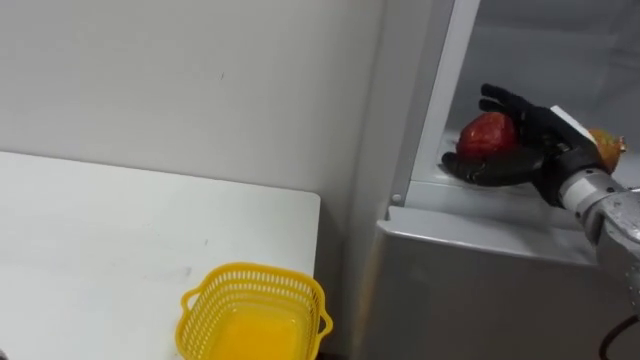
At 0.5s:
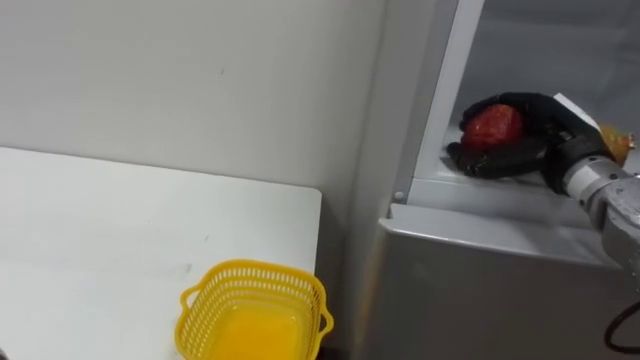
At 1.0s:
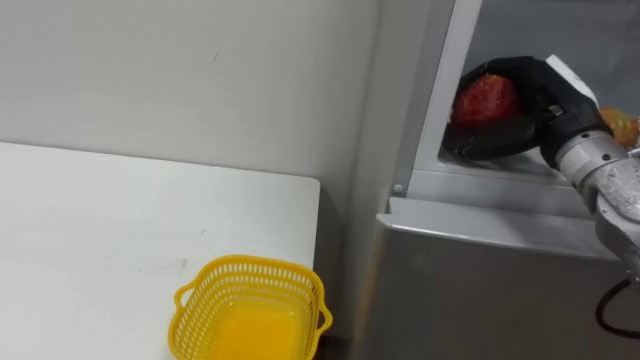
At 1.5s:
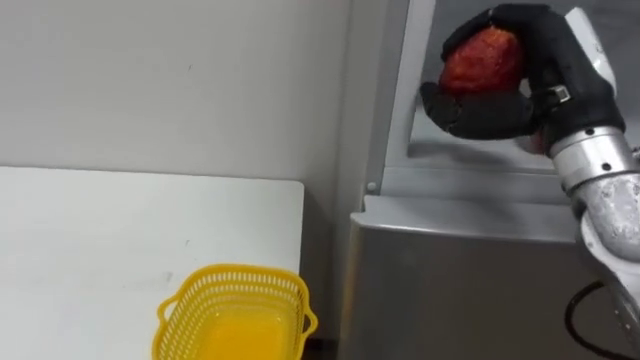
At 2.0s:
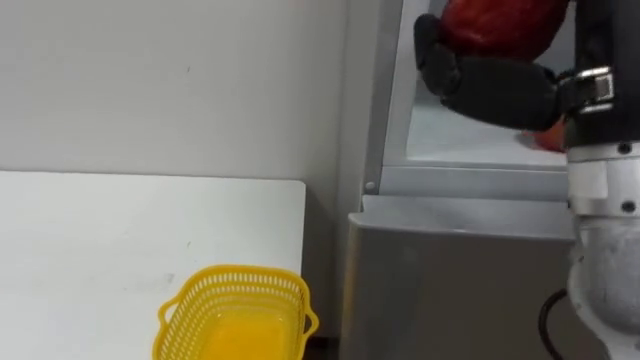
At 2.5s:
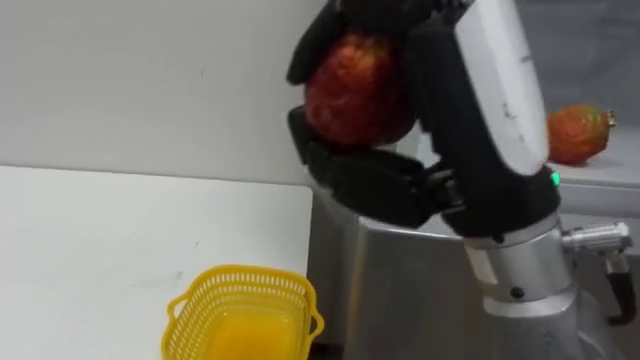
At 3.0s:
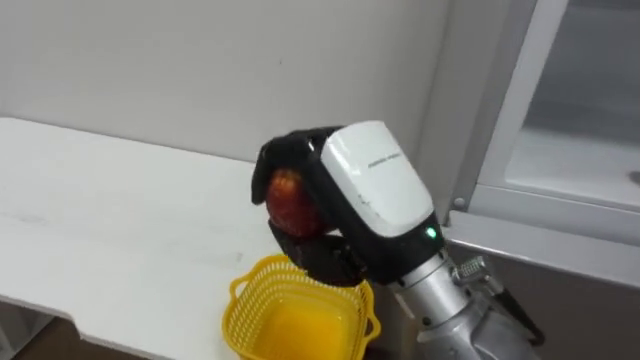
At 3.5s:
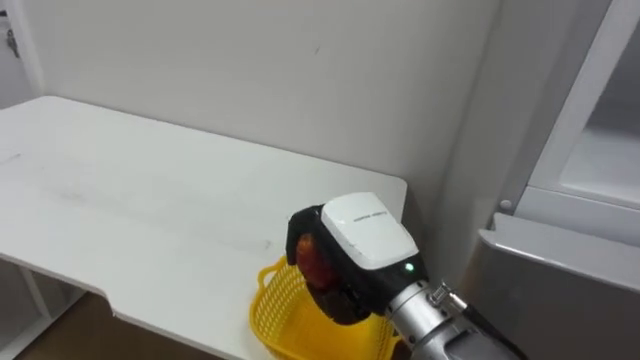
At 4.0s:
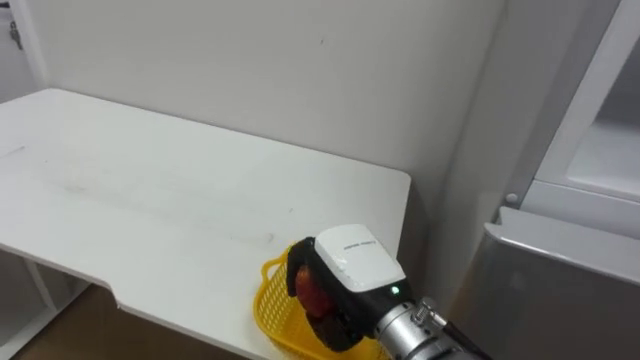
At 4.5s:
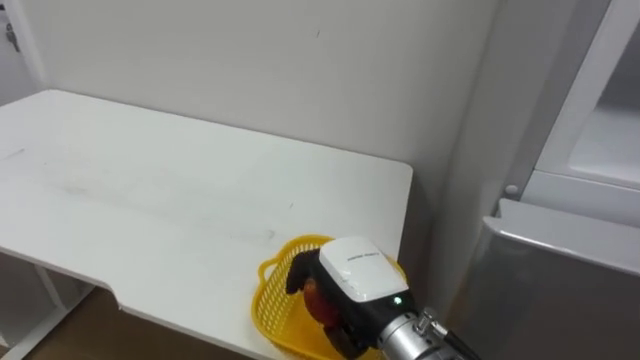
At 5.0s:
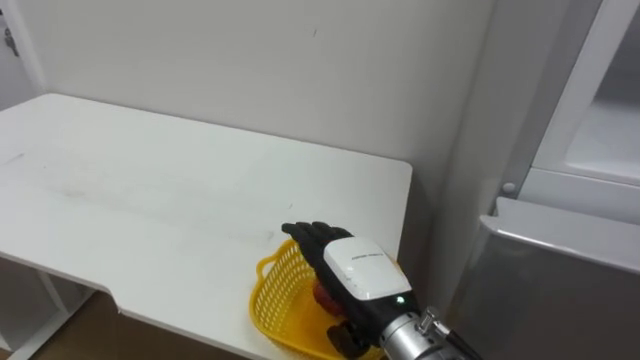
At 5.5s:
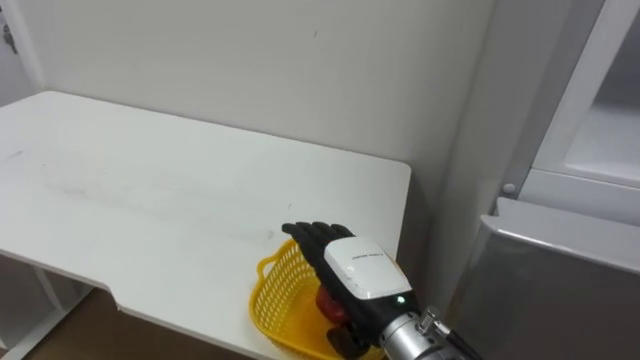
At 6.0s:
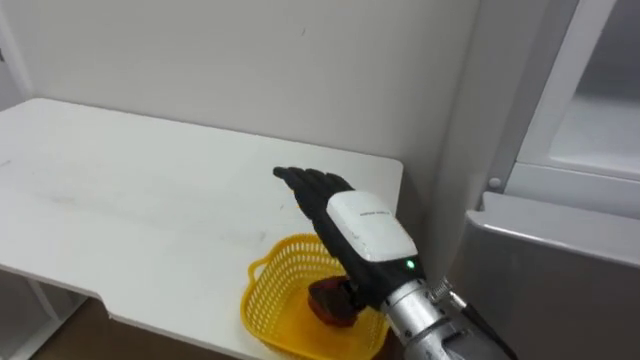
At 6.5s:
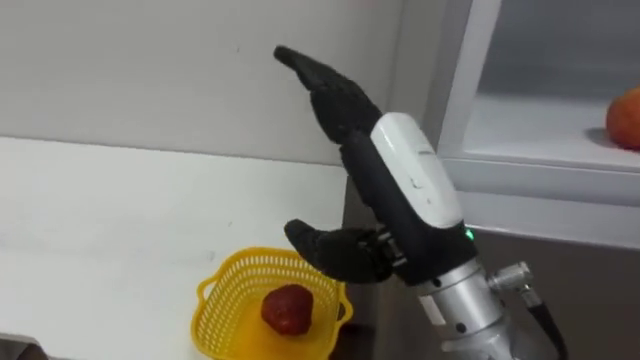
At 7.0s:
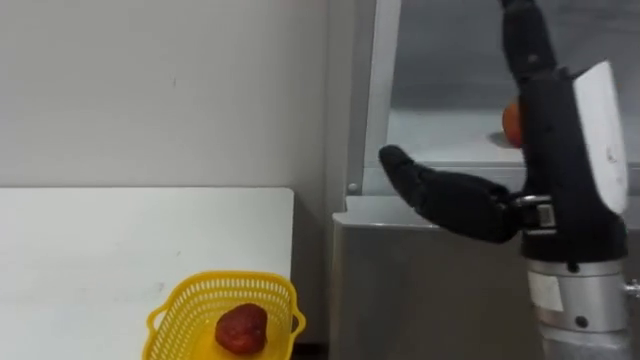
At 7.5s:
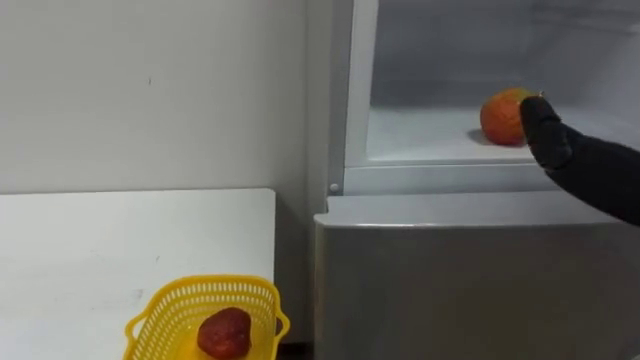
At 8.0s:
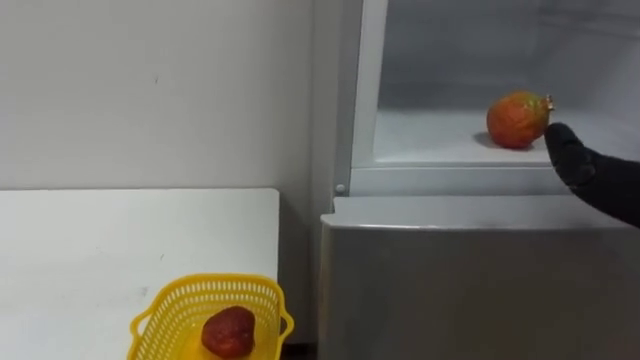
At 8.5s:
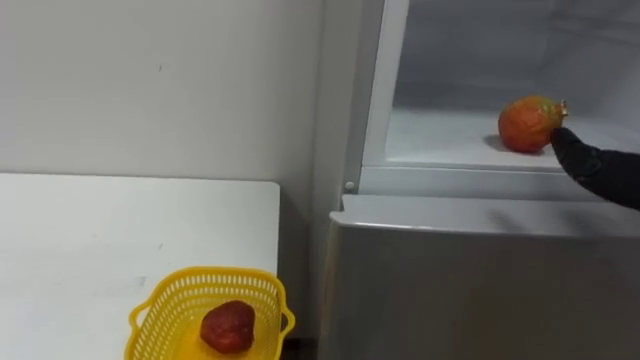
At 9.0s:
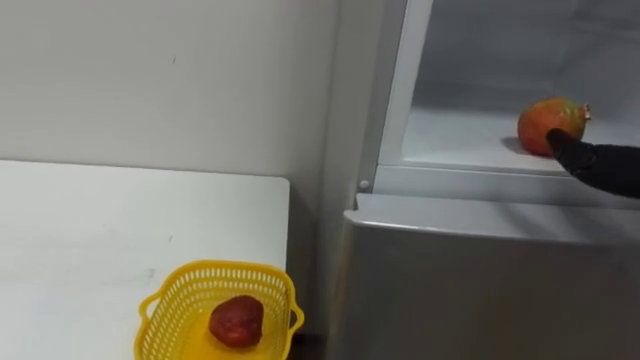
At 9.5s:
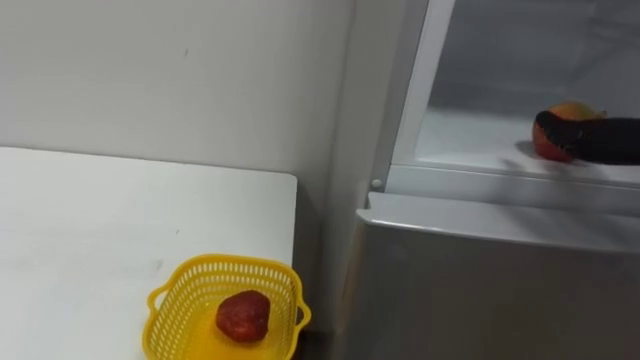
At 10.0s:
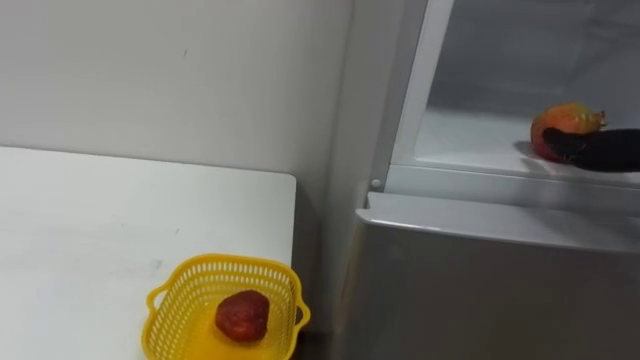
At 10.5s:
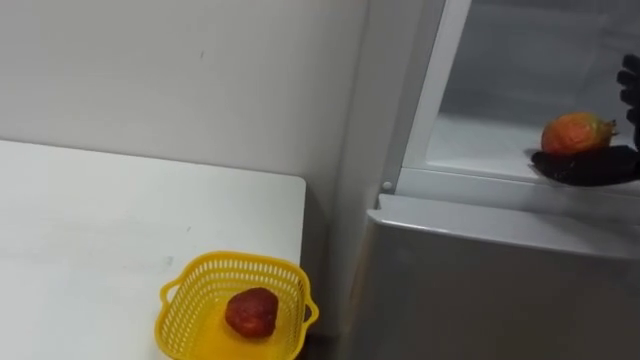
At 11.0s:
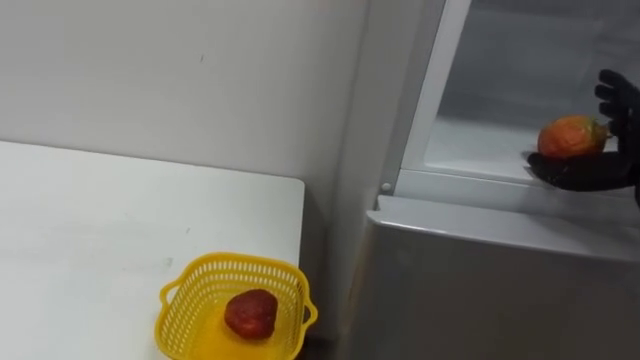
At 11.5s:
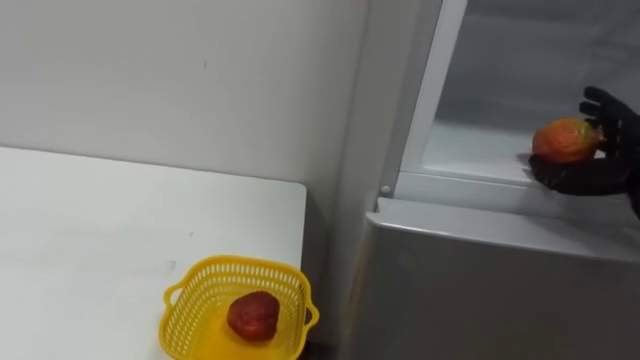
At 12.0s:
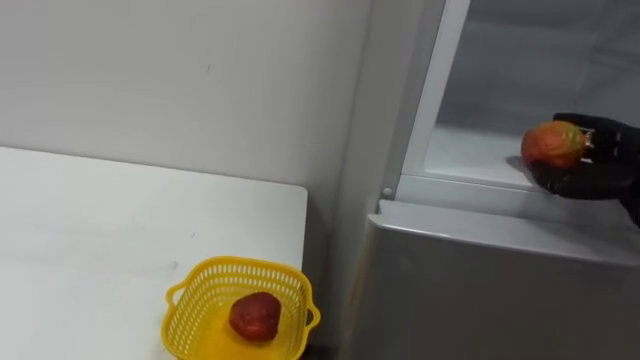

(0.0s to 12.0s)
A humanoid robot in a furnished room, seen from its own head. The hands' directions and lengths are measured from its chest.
Task of the whole recording: Open the refrigerator door, take out the apple and the pomegranate, place them in the fruit basket on the left, and close the refrigerator door.
0.0s - 2.0s: The right hand is displaced backward, upward and to the left by roughly 25 cm, and closes up.
2.0s - 4.0s: The right hand travels downward and to the left by about 30 cm.
4.0s - 6.0s: The right hand opens up.

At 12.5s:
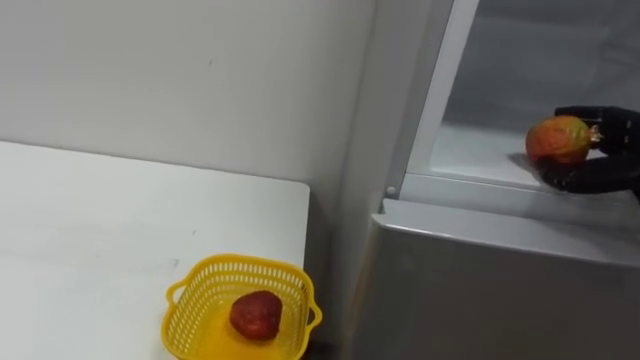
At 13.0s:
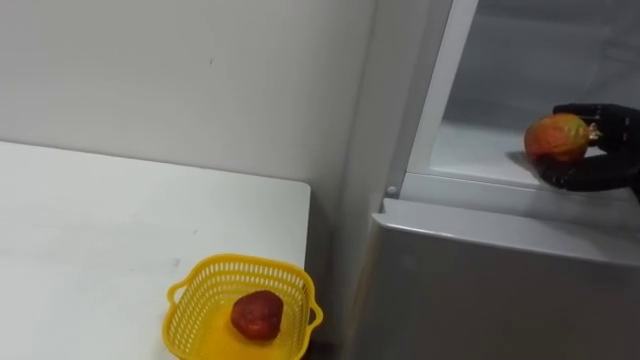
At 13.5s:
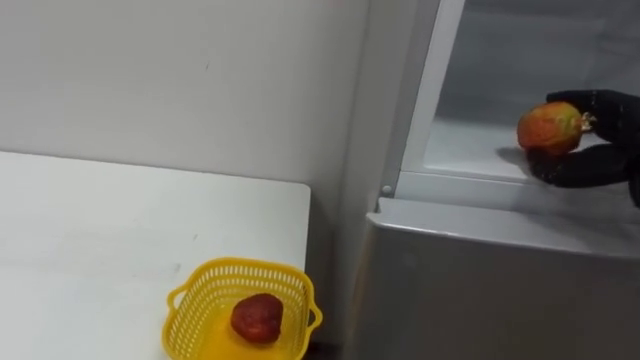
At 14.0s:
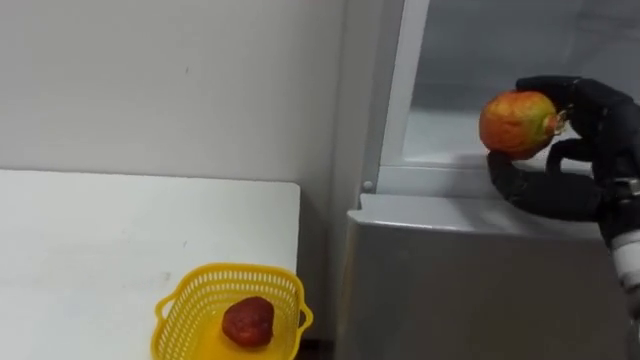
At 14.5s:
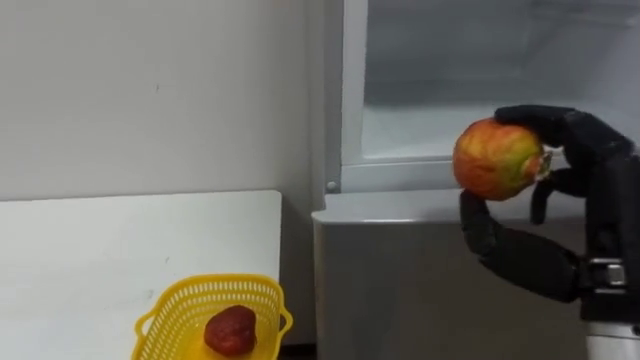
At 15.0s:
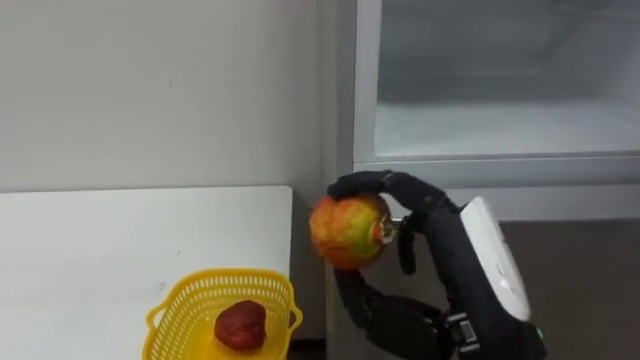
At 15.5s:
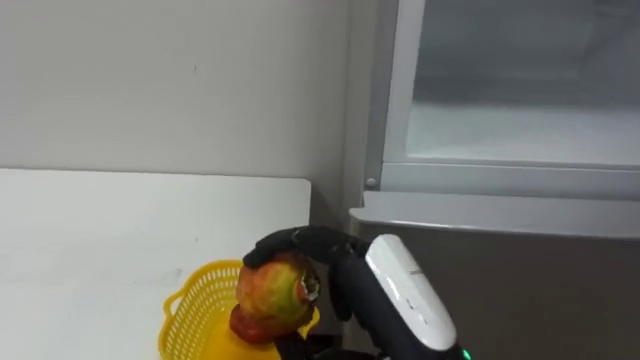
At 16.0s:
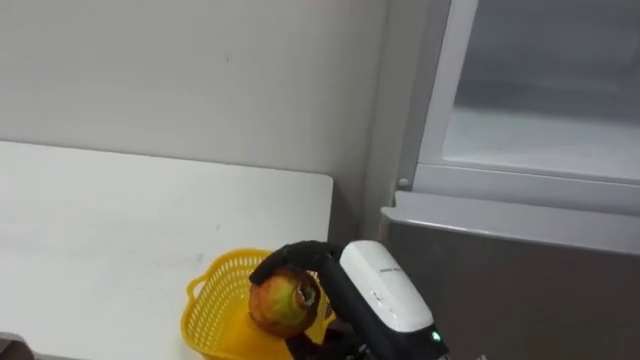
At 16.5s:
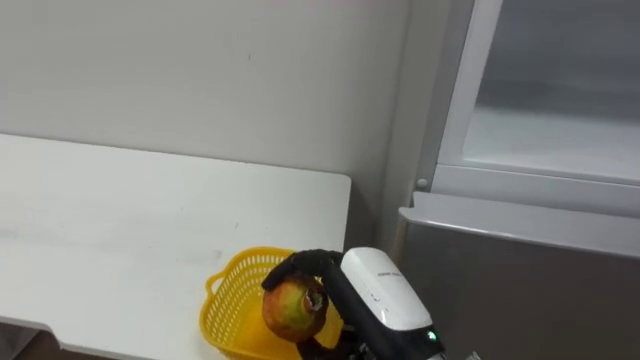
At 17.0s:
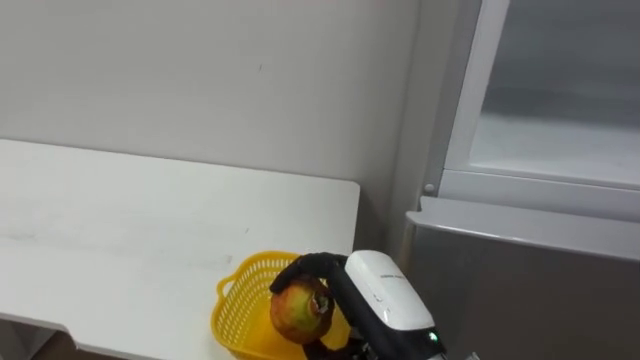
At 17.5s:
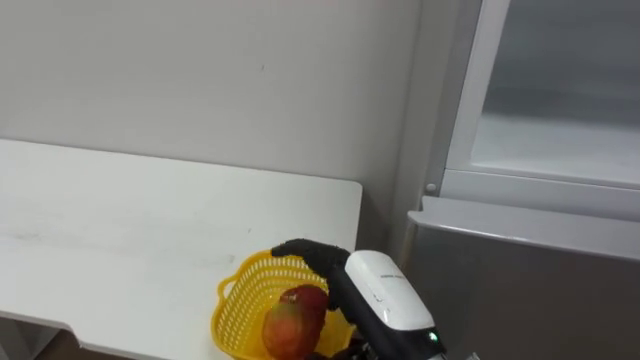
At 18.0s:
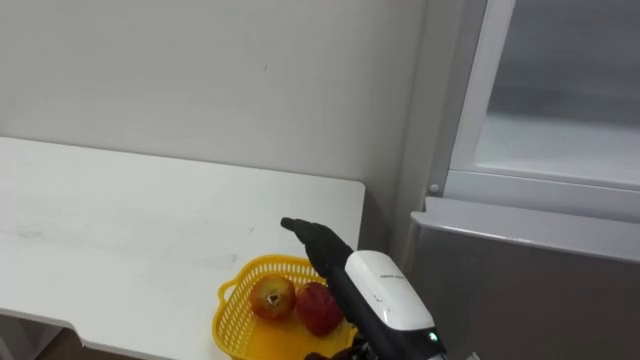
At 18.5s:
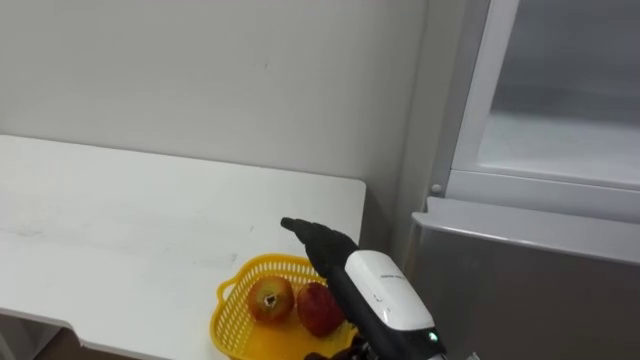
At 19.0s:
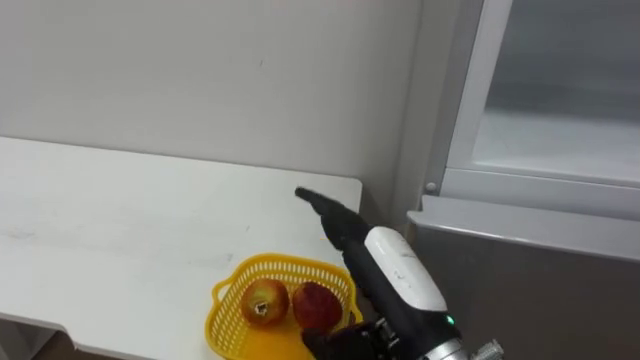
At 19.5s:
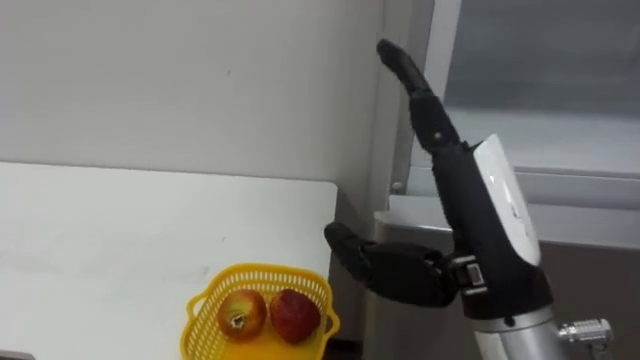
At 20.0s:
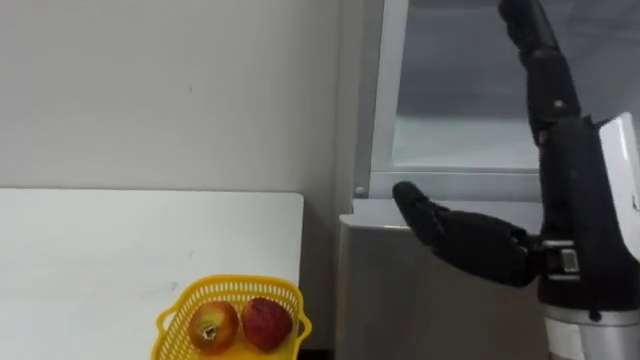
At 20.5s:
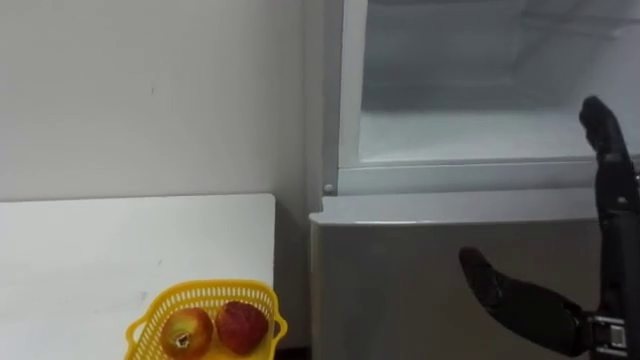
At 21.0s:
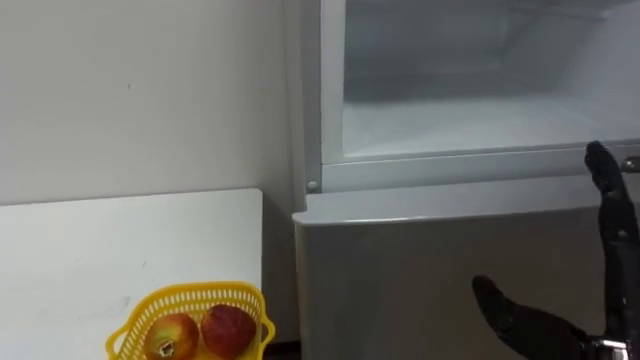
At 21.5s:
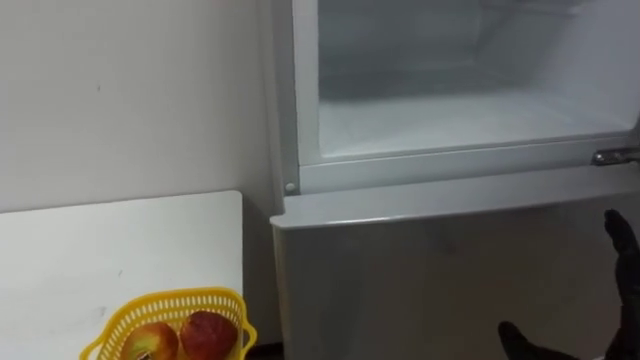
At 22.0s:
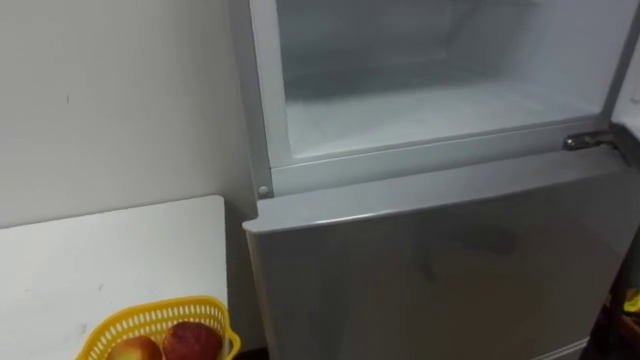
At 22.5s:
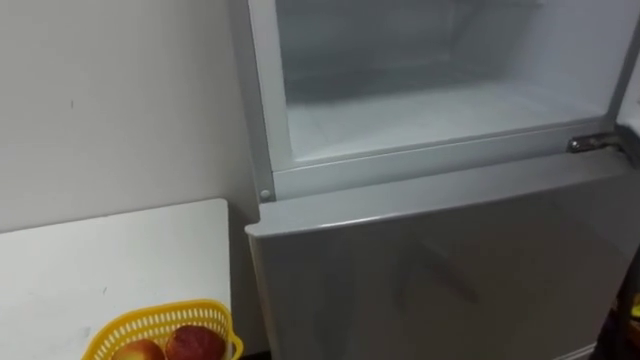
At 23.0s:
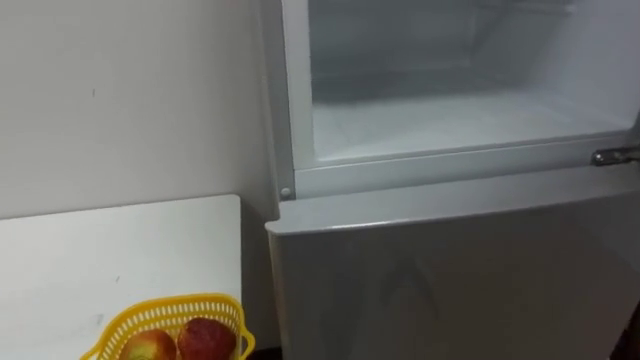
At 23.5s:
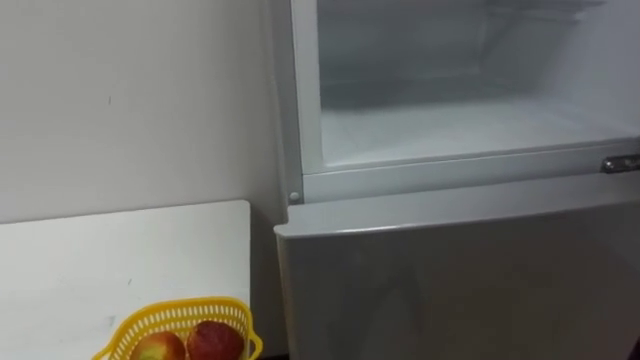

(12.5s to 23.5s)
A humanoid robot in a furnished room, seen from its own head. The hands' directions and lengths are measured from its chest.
Task of the whole recording: Open the refrigerator door, take out the apple and the pomegranate, place them in the fruit basket on the left, and close the refrigerator door.
14.5s - 16.0s: The right hand travels to the left and downward by approximately 20 cm.
16.0s - 18.0s: The right hand opens its fingers.
18.0s - 20.0s: The right hand is displaced upward and to the right by roughly 20 cm.
